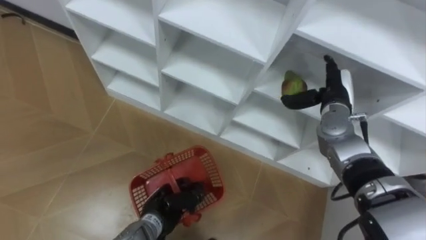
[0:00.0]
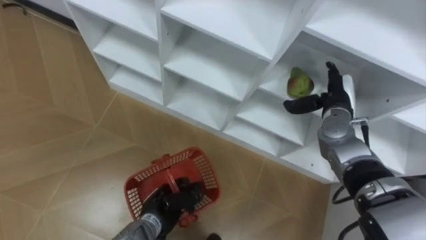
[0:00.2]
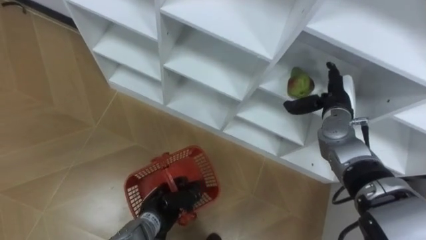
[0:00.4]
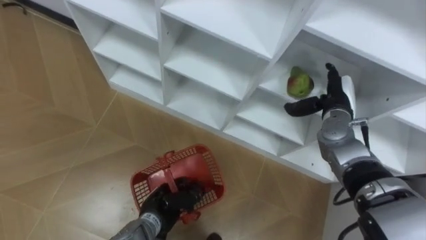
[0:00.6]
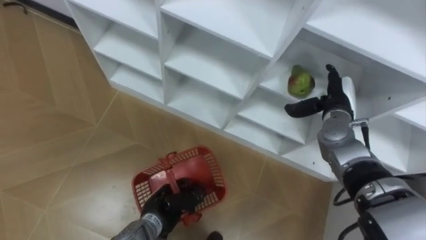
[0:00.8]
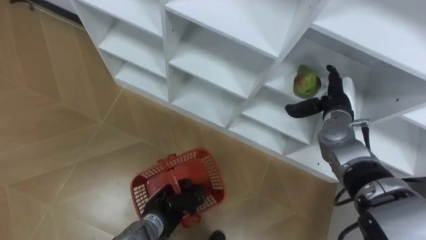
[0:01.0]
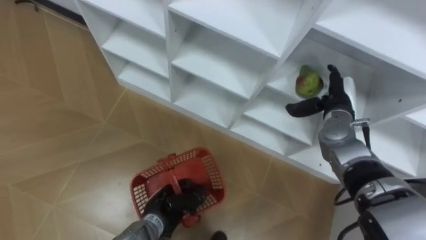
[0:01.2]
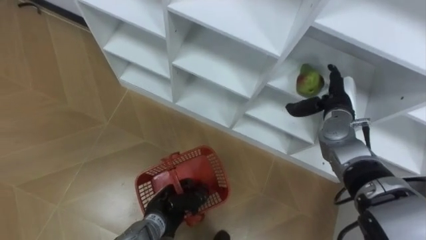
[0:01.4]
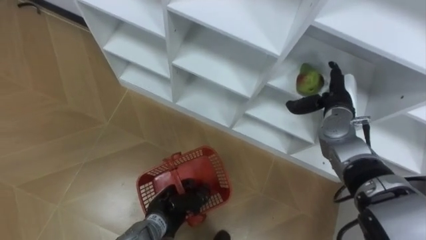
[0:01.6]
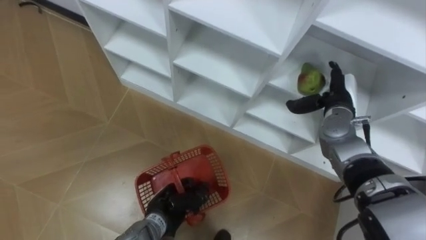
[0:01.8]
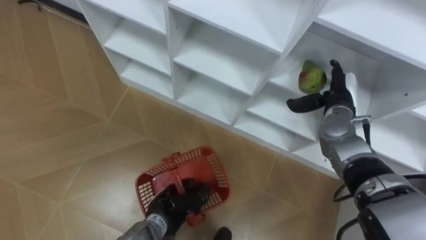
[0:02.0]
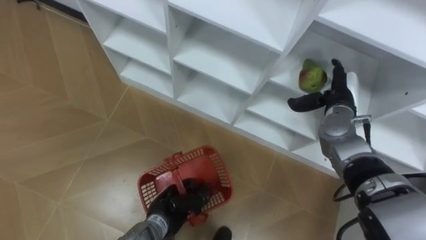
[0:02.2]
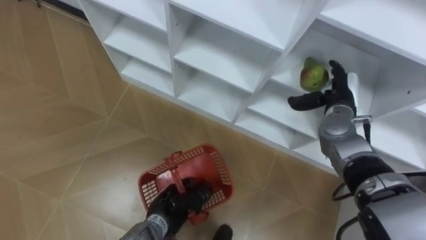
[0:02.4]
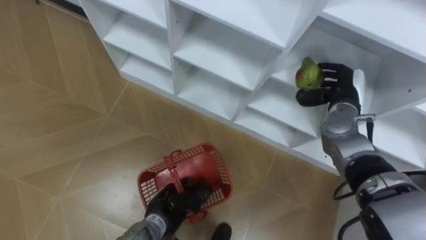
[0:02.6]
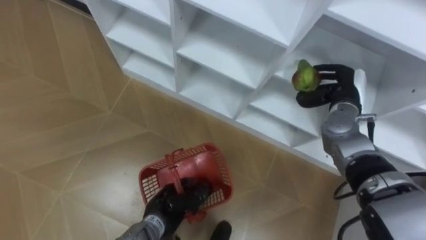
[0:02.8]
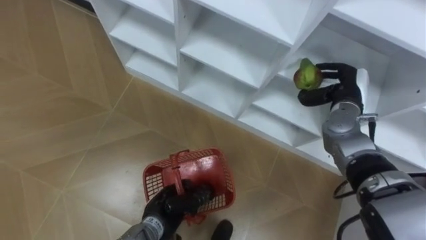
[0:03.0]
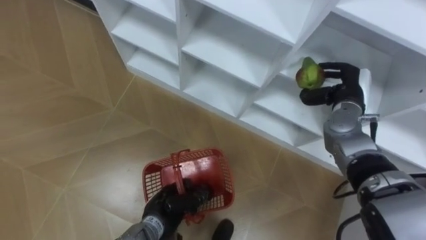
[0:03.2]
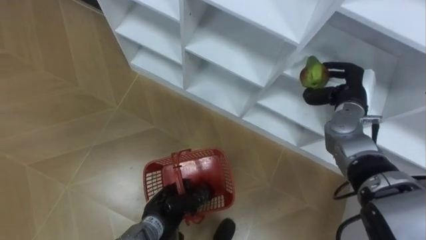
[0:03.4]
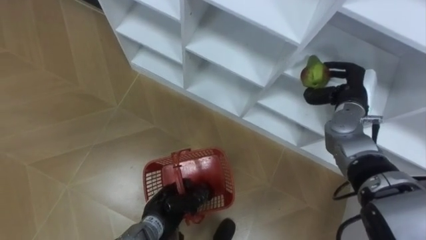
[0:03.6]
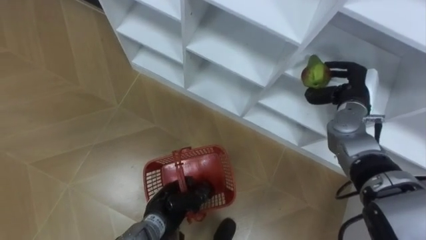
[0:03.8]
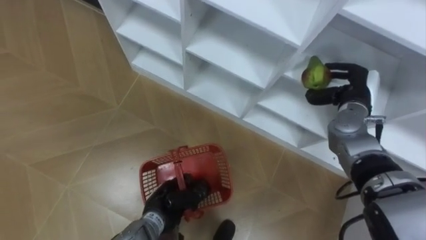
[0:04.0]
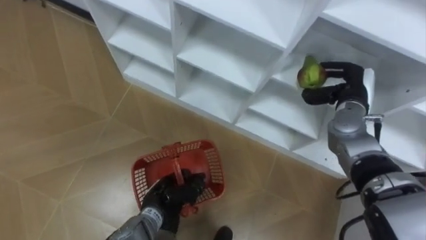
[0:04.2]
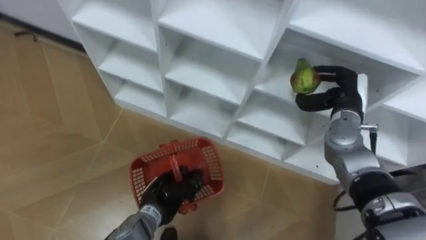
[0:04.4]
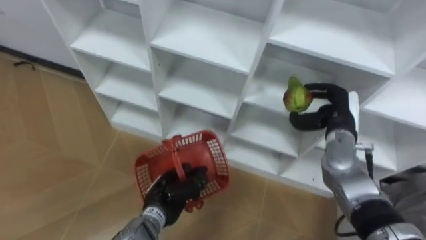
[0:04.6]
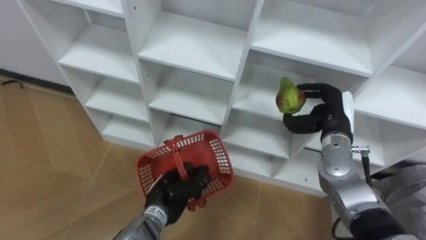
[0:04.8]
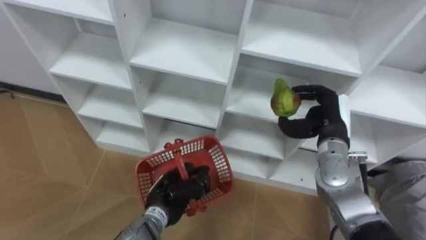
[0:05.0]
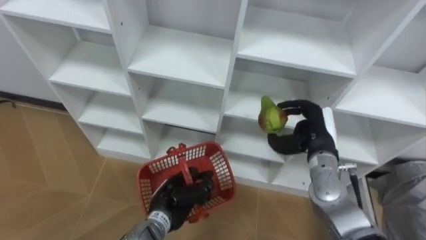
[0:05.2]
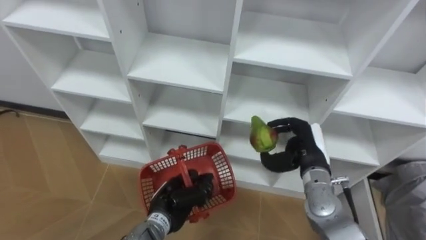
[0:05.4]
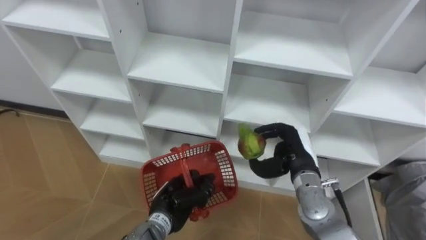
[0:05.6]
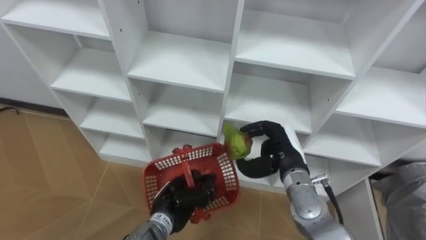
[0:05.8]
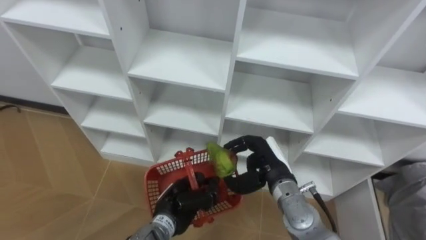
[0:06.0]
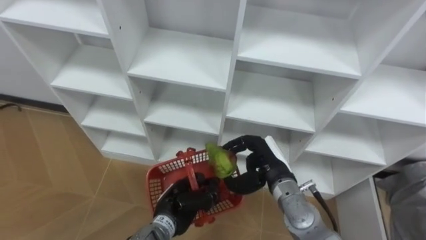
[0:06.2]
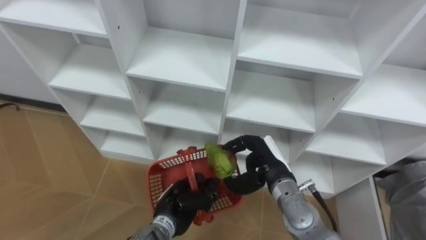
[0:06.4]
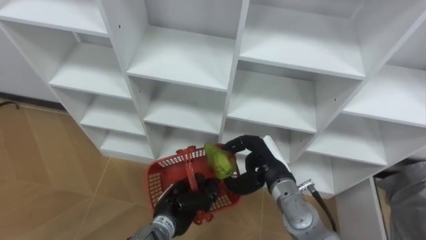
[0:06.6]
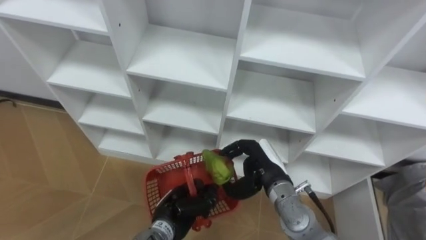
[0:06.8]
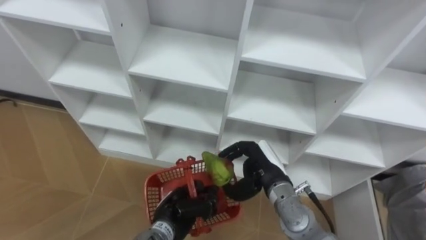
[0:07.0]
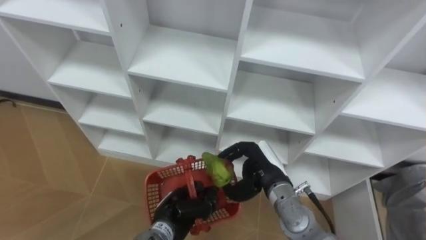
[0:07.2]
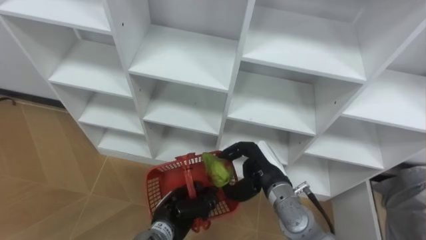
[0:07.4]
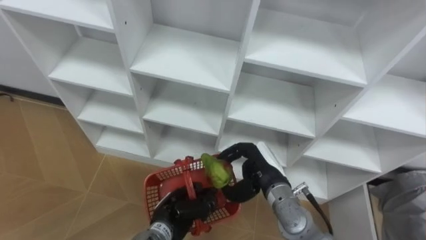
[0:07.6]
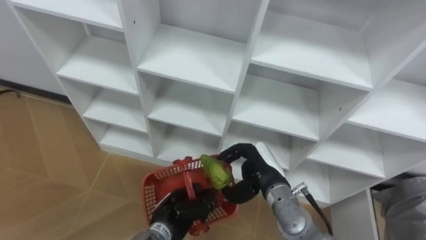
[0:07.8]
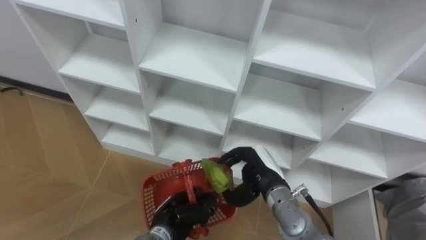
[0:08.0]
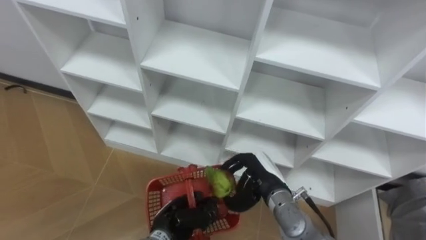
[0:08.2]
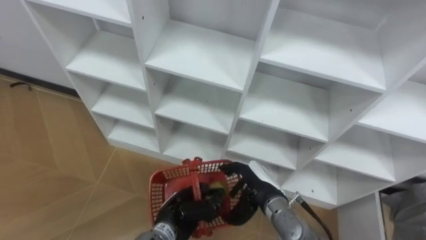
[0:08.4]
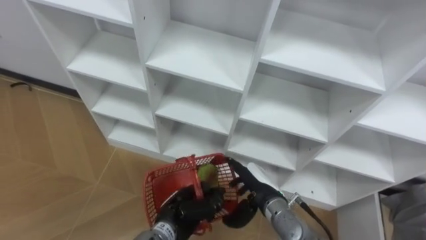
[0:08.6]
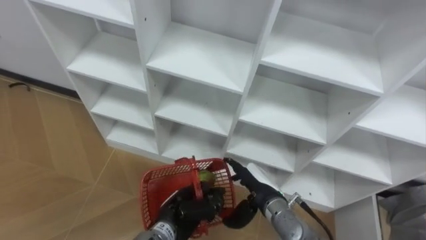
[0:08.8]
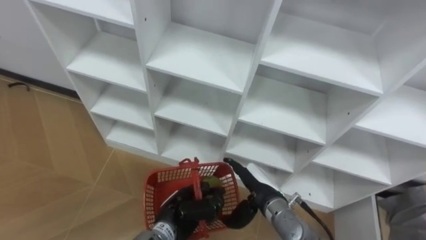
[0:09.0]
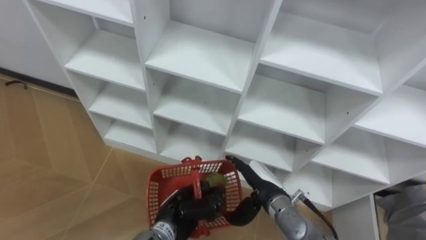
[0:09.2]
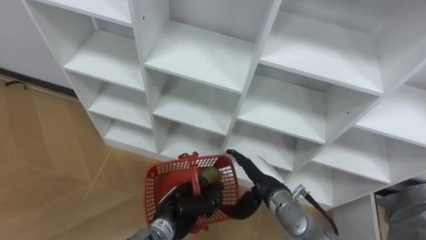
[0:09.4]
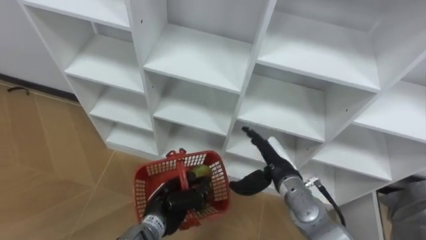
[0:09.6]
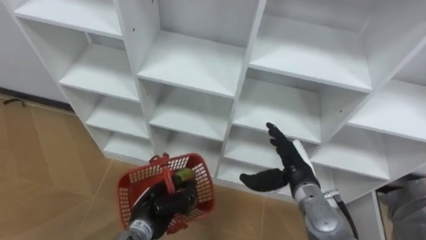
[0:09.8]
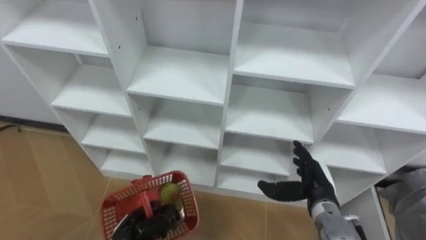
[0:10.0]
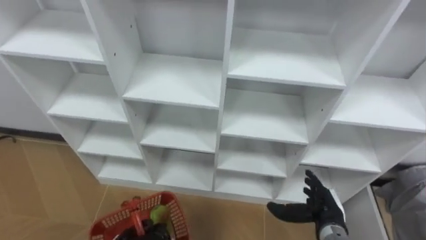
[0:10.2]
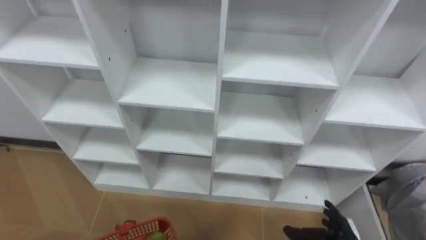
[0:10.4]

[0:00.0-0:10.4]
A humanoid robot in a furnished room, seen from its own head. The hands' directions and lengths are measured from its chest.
Task of the whole recording: Hold the basket and collect the fruits from 3 different cells of the closet into it.
0:01.4 to 0:03.0: The right hand closes.
0:04.4 to 0:06.0: The right hand moves to the left, backward and downward, approximately 20 cm.
0:06.0 to 0:07.4: The hands move only a little.
0:07.4 to 0:09.0: The right hand opens.
0:09.0 to 0:10.4: The right hand goes roughly 20 cm to the right and backward.

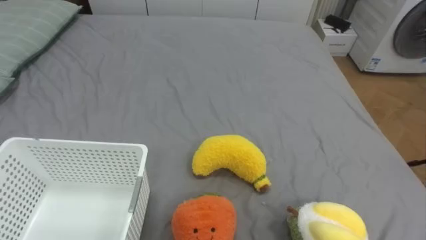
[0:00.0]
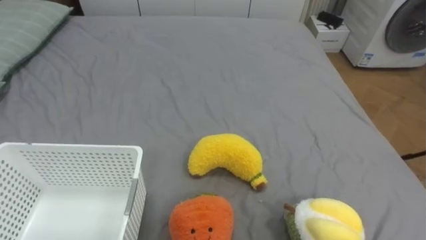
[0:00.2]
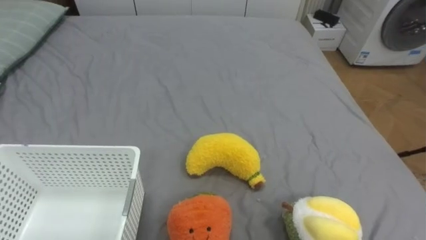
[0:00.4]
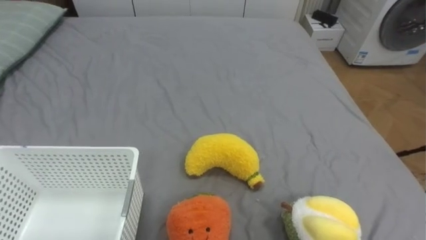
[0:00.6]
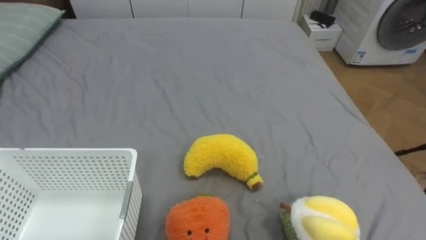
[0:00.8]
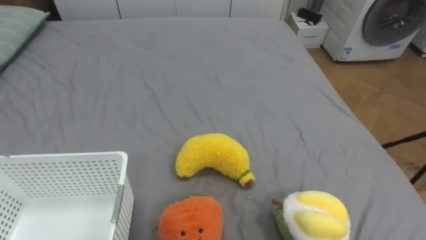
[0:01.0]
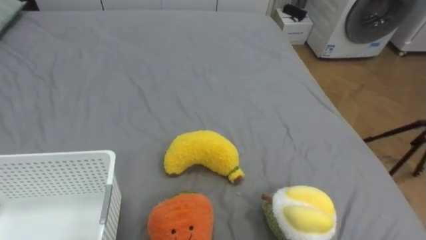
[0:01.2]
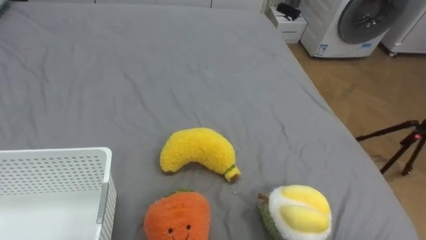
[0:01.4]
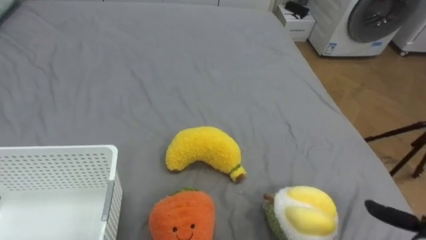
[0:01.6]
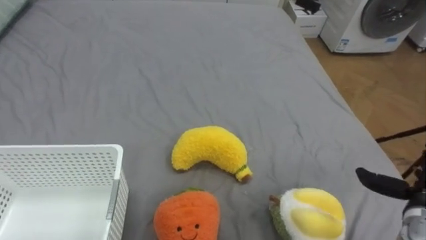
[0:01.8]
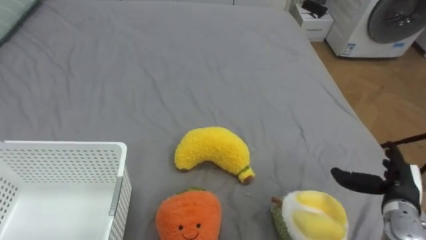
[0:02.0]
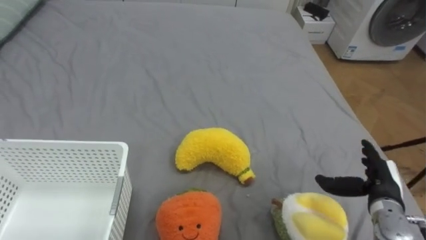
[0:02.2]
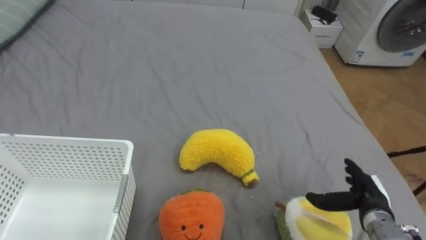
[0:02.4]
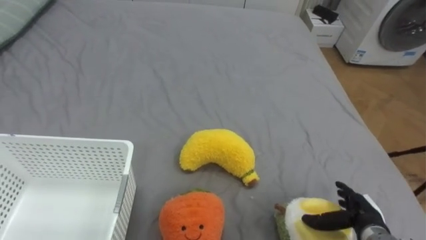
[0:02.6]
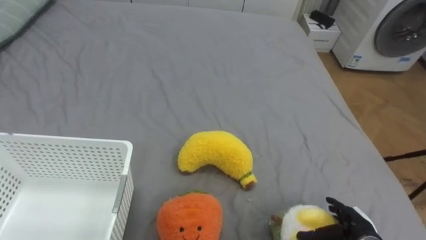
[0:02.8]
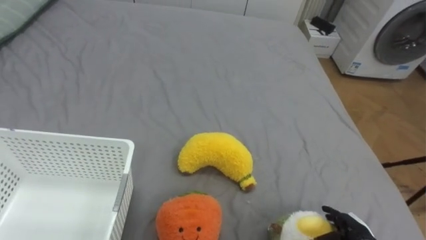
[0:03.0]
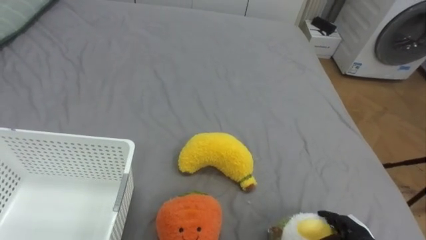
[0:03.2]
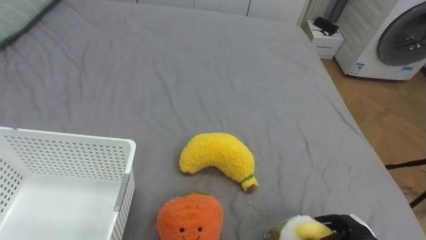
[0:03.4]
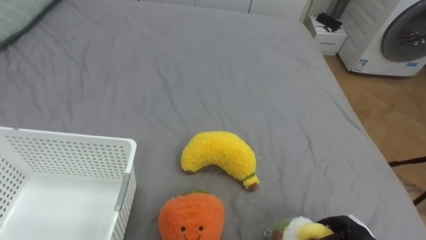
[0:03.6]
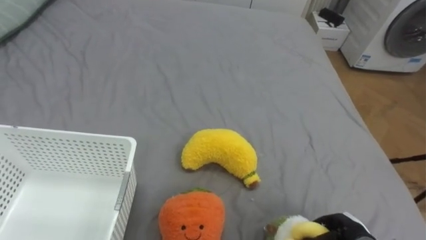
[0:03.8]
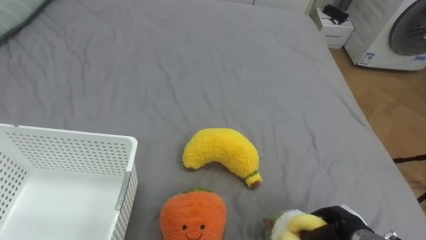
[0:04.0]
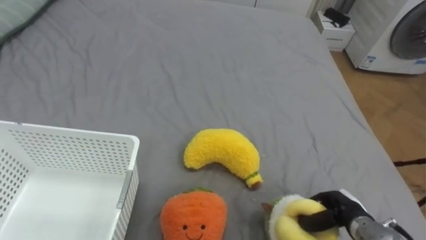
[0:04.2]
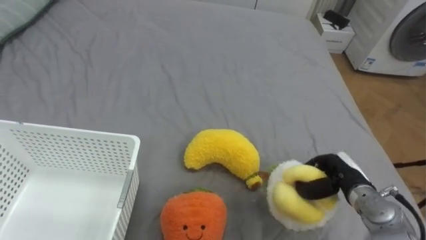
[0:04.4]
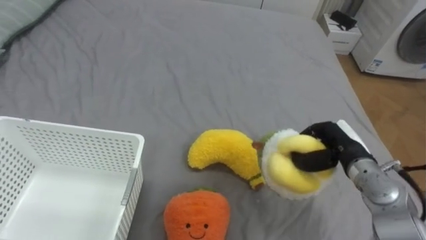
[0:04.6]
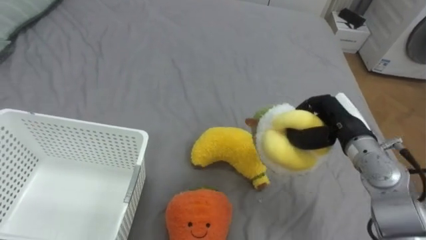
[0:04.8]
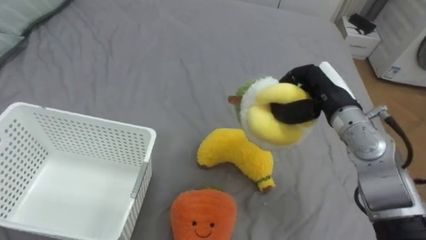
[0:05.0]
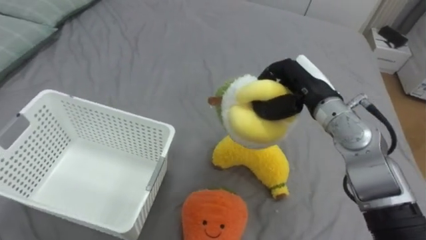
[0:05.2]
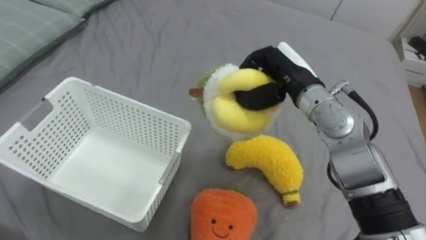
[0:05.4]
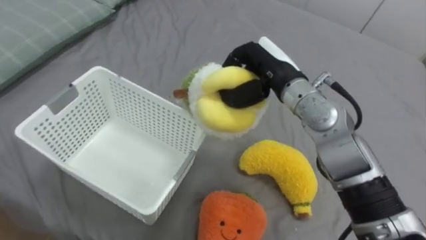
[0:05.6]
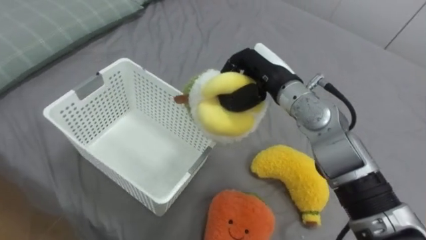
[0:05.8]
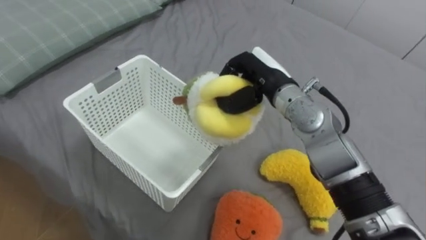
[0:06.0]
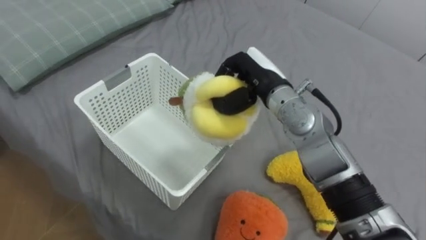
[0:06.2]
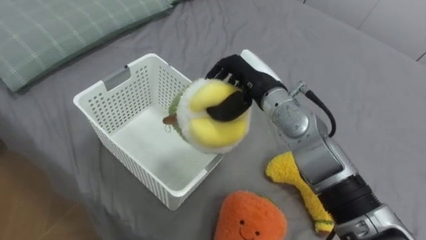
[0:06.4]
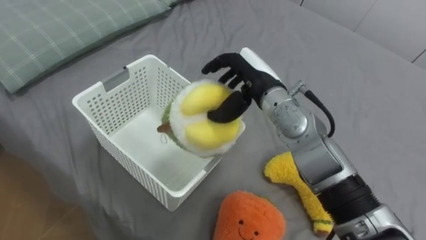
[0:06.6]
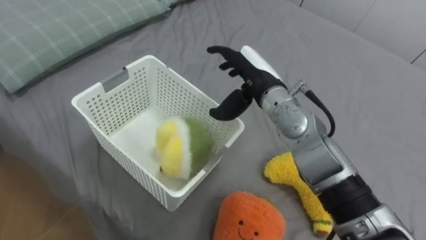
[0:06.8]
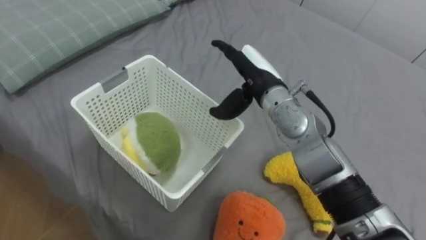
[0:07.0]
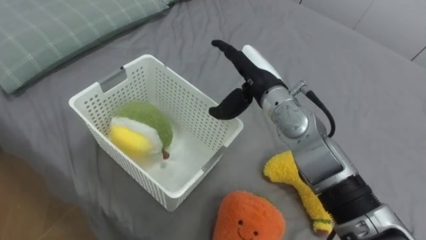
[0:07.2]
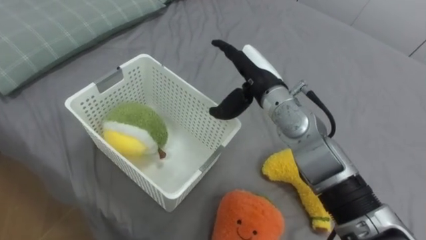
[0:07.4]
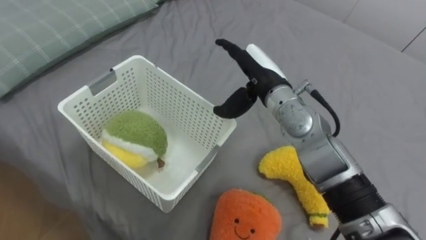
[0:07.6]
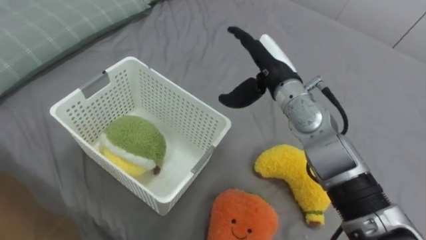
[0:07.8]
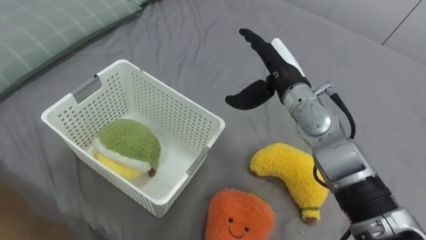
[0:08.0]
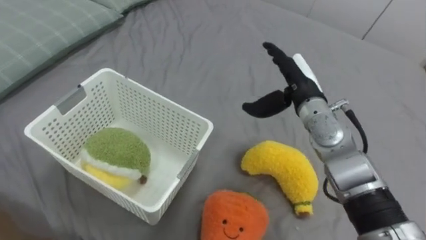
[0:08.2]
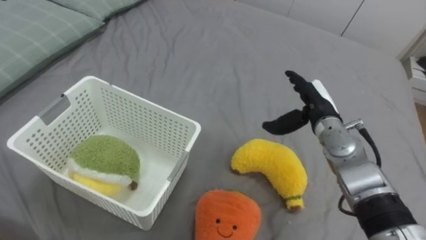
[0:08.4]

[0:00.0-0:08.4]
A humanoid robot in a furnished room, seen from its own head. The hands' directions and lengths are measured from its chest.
Task of the whole recording: Put the toys on the bed into the basket on the left.
0:02.8 to 0:04.2: The right hand closes its fingers.
0:04.2 to 0:05.6: The right hand travels upward, to the left and forward by roughly 35 cm.
0:05.6 to 0:07.0: The right hand opens.
0:07.0 to 0:08.4: The right hand heads to the right and downward, covering approximately 15 cm.
